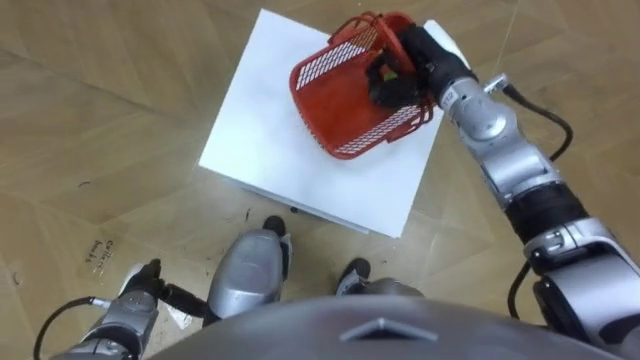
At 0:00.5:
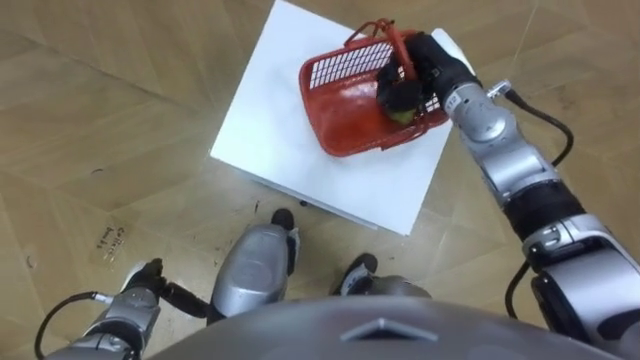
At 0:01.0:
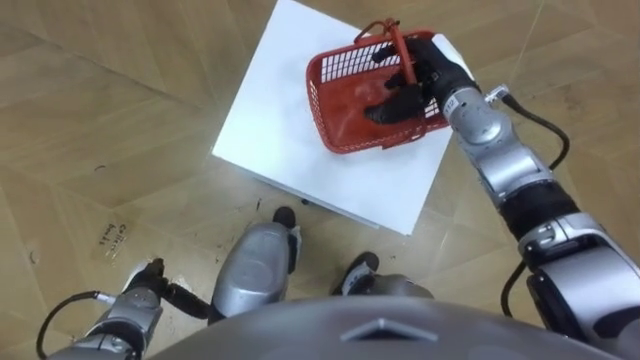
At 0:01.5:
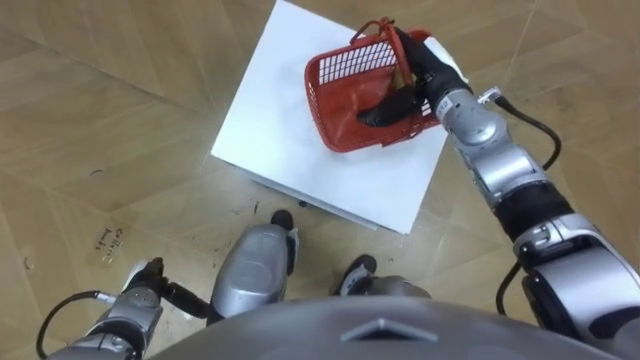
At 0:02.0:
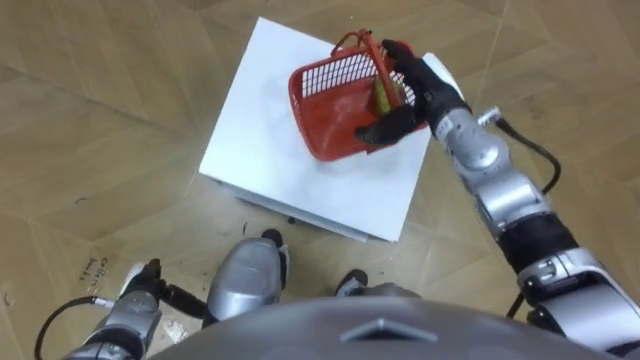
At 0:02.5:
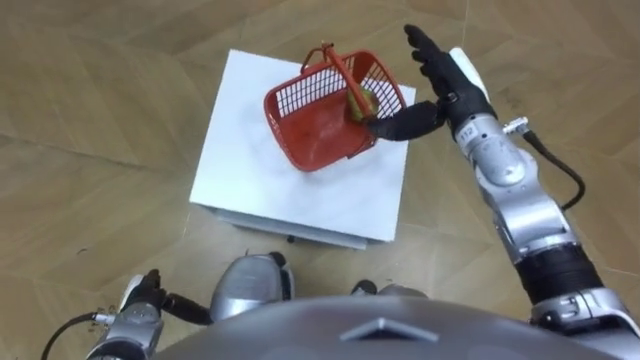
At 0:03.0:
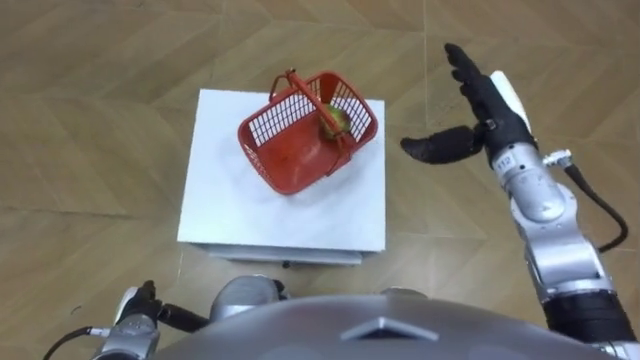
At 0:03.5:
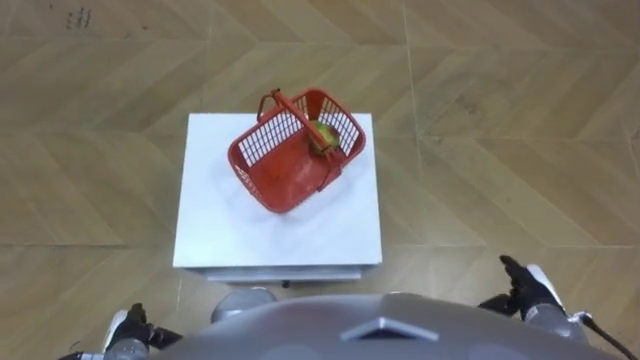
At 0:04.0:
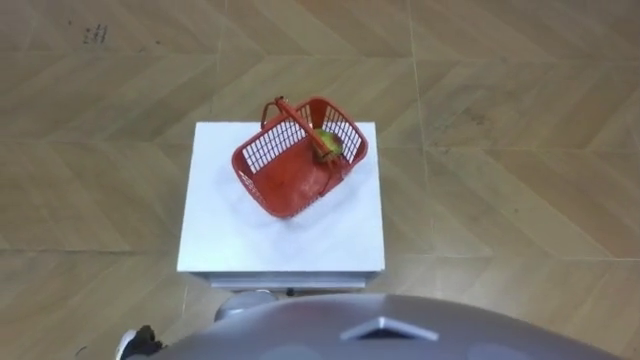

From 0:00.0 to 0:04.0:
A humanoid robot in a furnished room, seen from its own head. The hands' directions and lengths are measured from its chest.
Task of the whole recording: Pick up the fruit basket from the floor and place it on the cabinet.
From 0:00.0 to 0:02.0: The right hand opens.
From 0:02.0 to 0:04.0: The left hand heads backward, covering about 10 cm, while the right hand travels backward, downward and to the right by about 40 cm.

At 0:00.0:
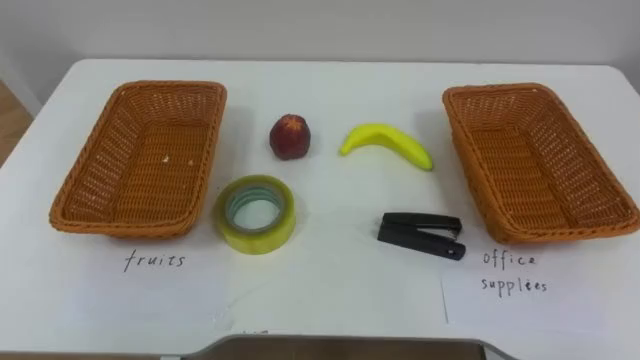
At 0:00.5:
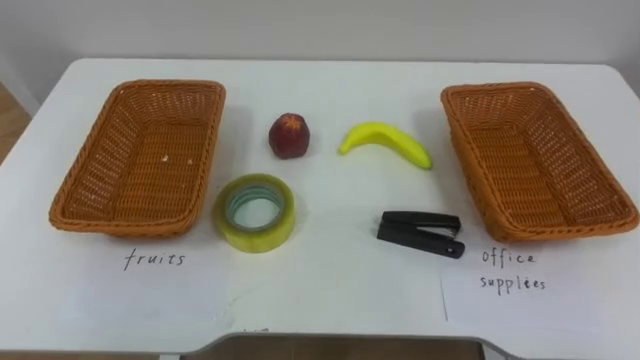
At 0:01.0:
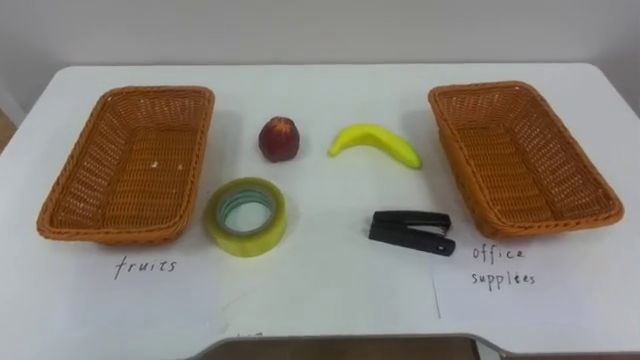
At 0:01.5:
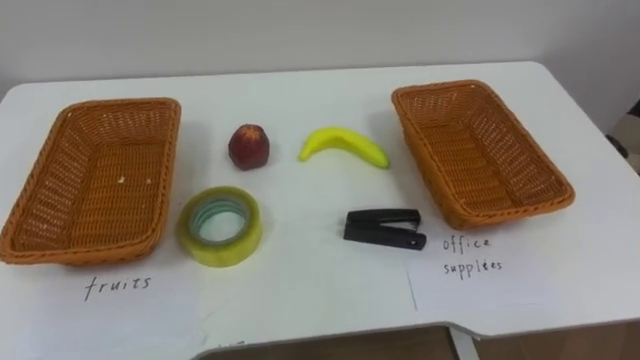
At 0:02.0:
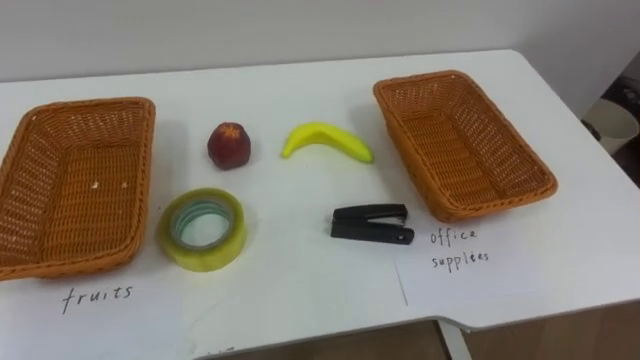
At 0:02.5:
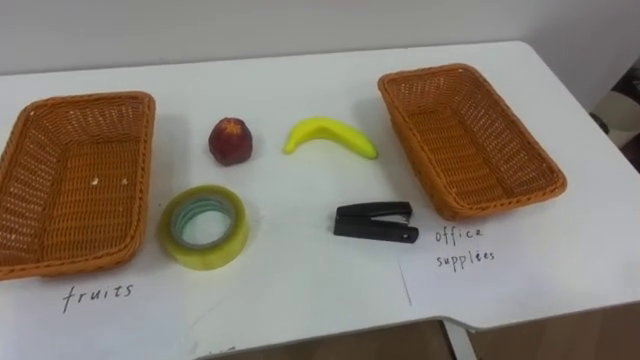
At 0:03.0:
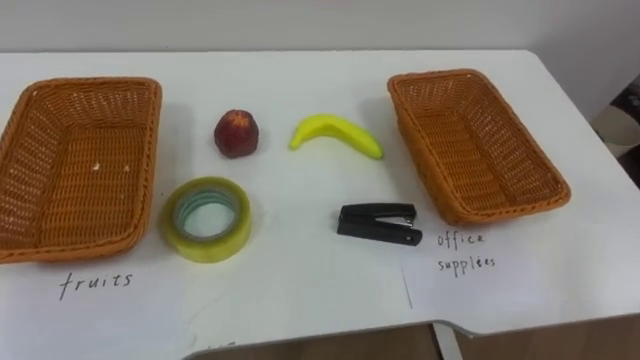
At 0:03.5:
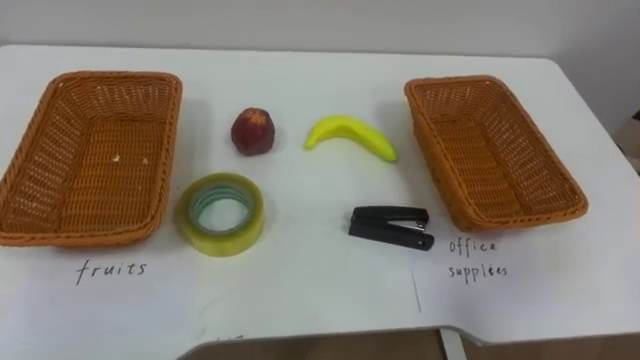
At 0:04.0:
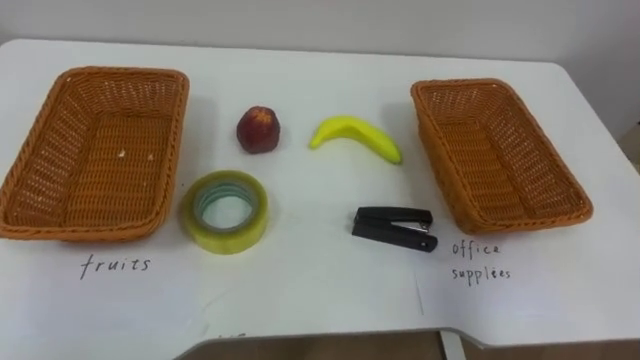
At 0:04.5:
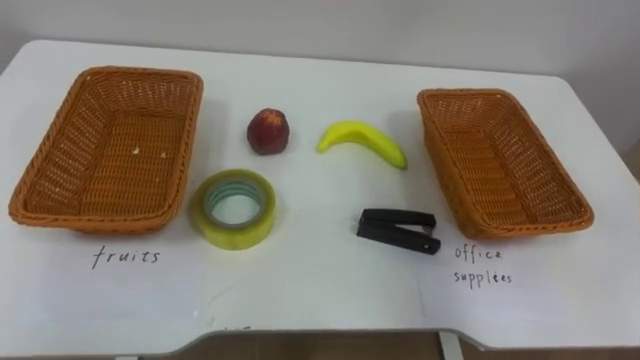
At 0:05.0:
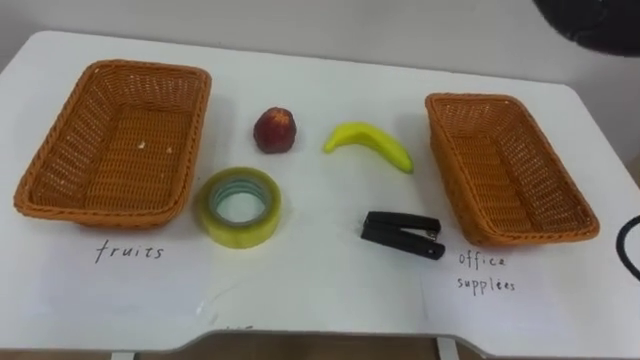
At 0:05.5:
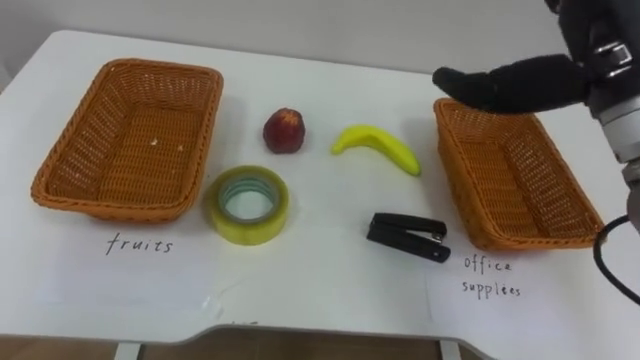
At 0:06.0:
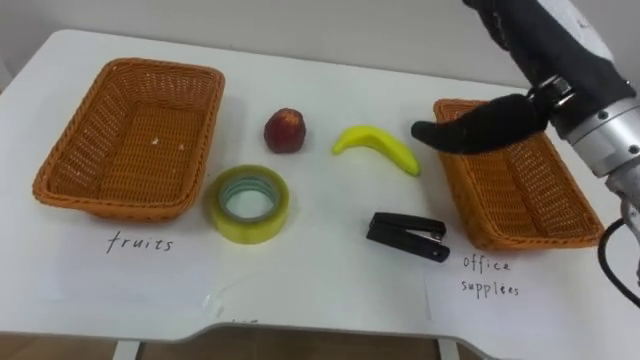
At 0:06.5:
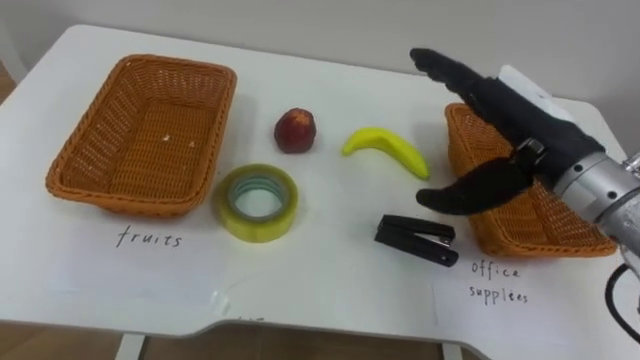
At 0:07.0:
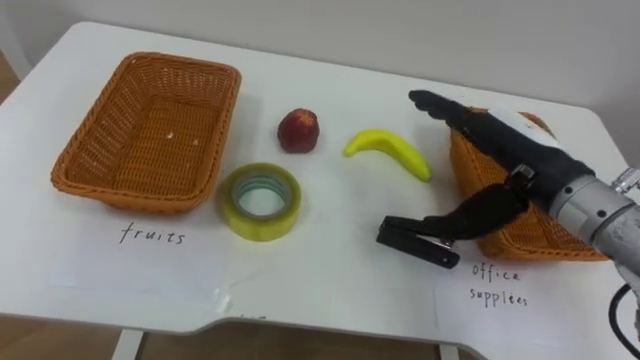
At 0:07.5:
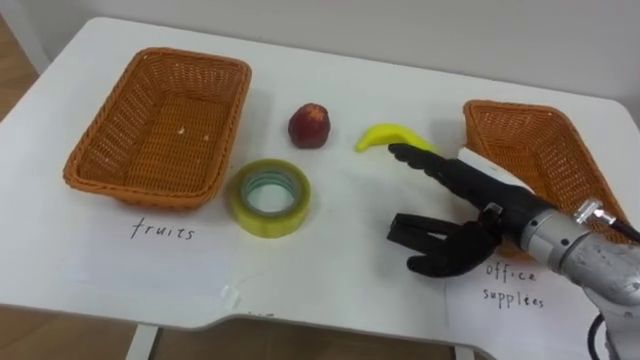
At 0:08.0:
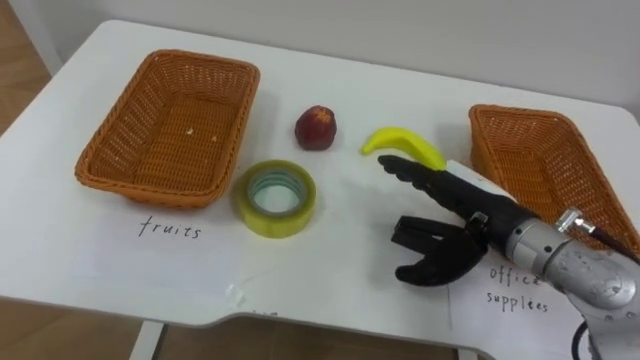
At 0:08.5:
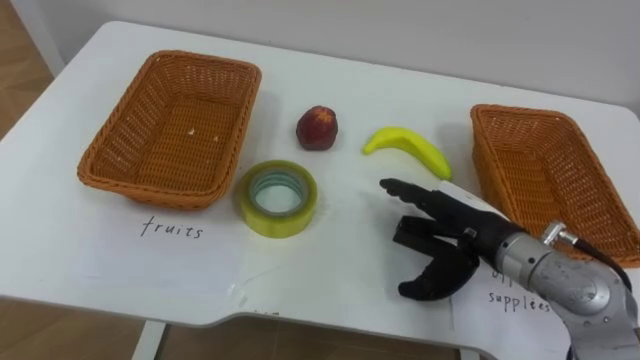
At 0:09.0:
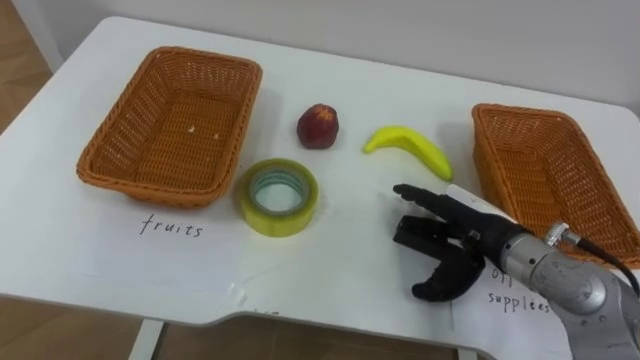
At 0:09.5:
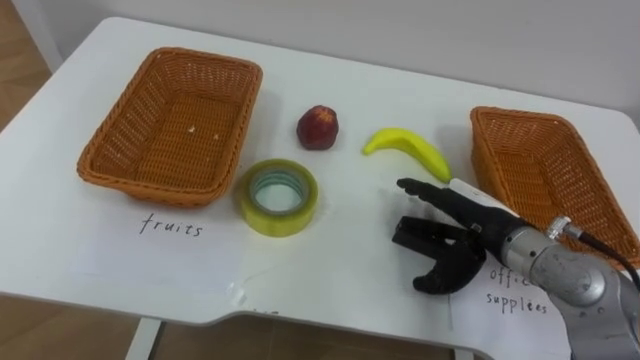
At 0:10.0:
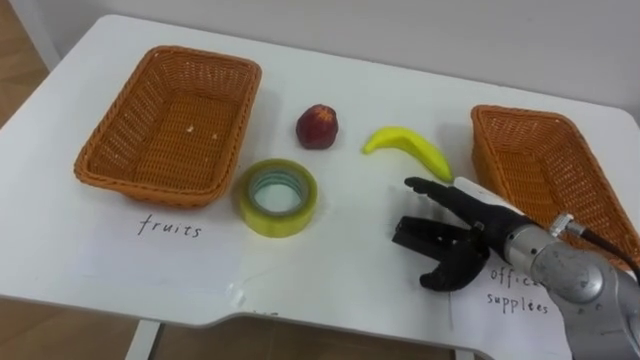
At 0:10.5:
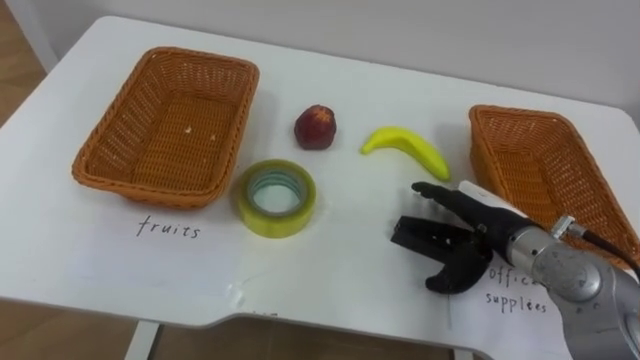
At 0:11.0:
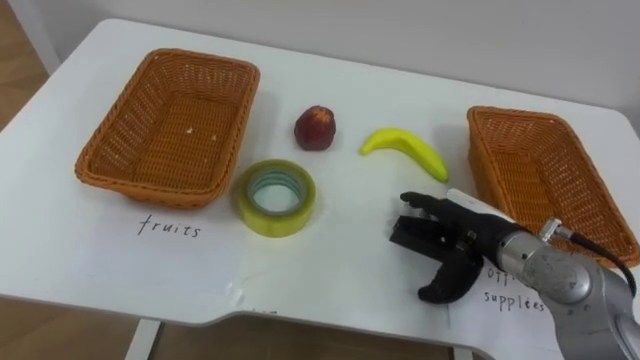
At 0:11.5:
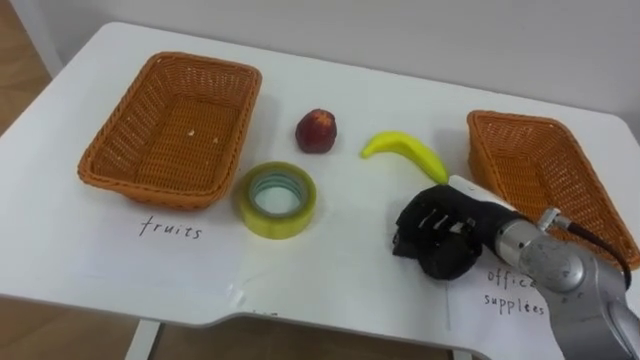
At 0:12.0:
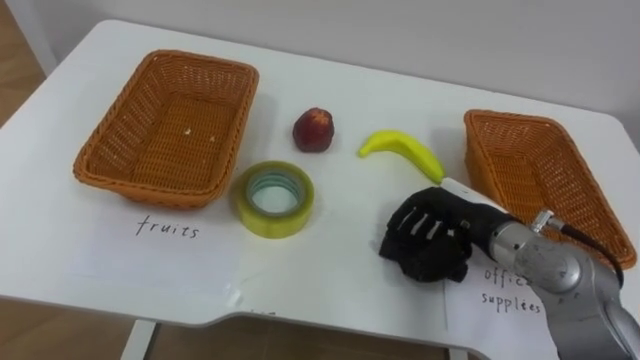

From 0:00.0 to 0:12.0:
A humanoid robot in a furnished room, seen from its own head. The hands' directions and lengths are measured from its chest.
Task of the whole recording: Separate the items on the table and place them into the two baskets.
From 0:06.0 to 0:08.0: The right hand goes roughly 15 cm downward.
From 0:10.0 to 0:12.0: The right hand closes its fingers.

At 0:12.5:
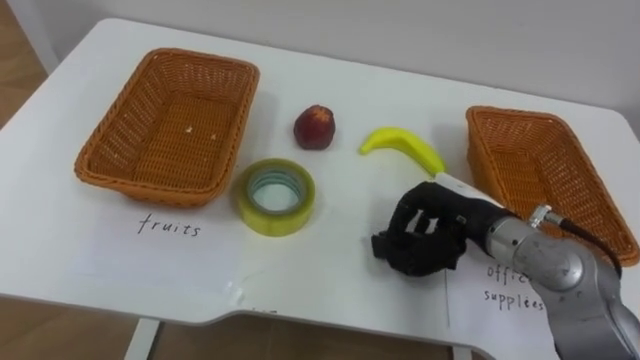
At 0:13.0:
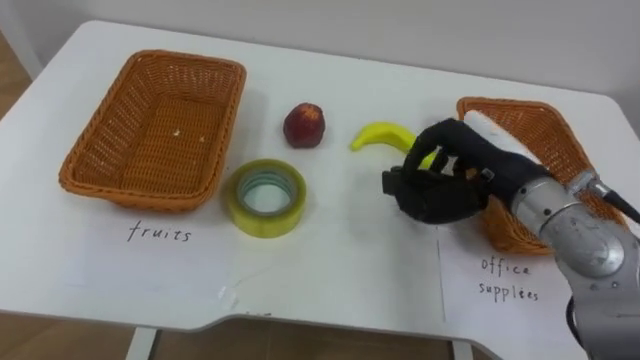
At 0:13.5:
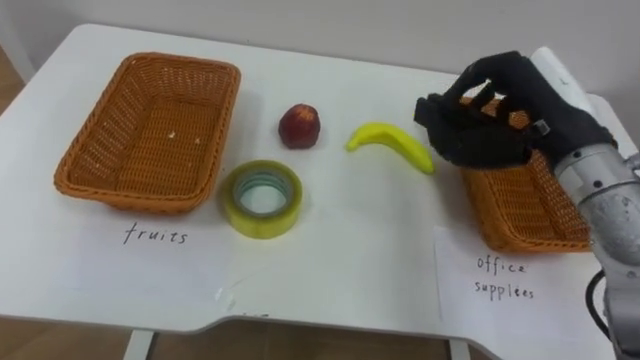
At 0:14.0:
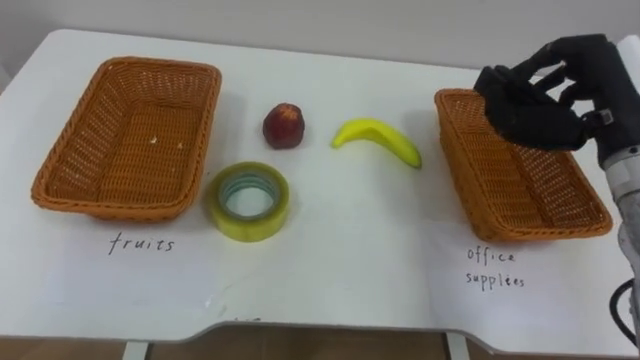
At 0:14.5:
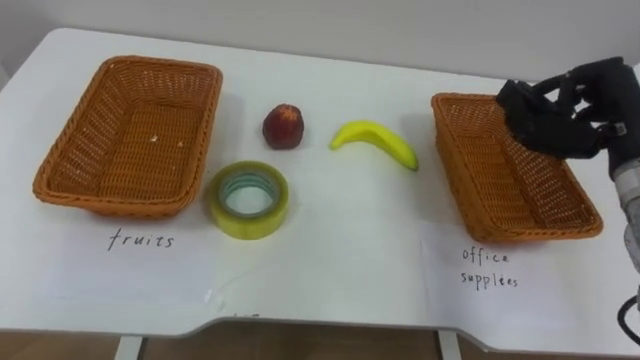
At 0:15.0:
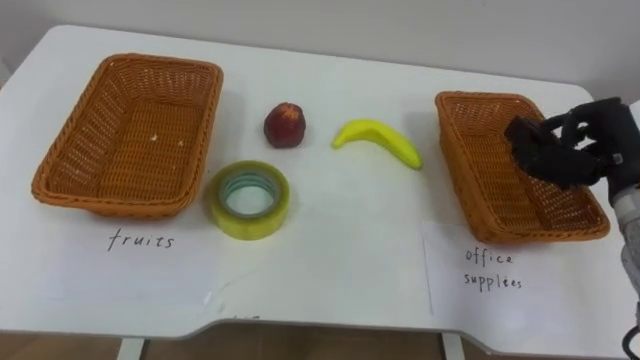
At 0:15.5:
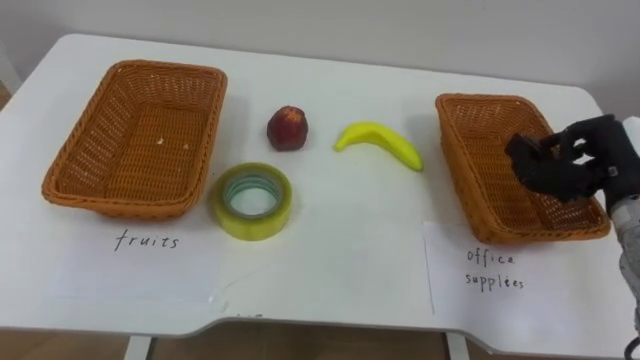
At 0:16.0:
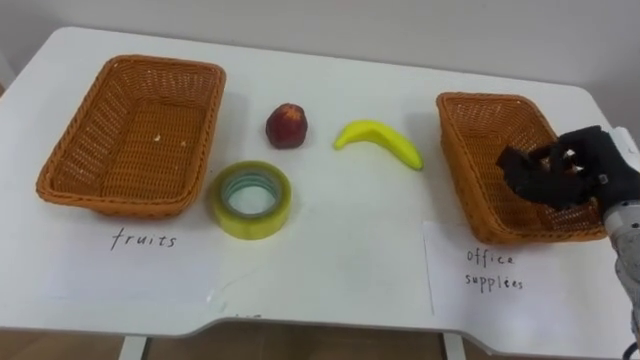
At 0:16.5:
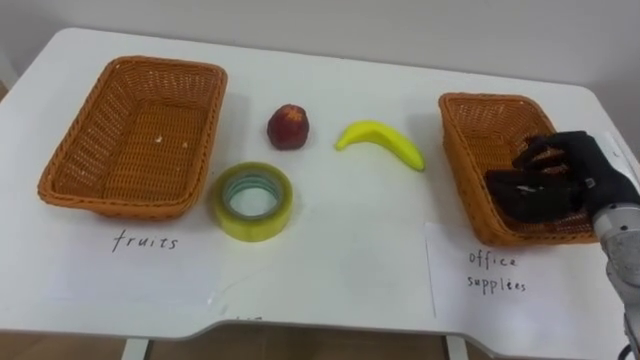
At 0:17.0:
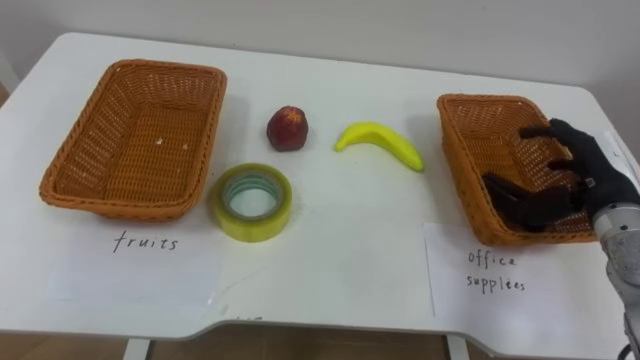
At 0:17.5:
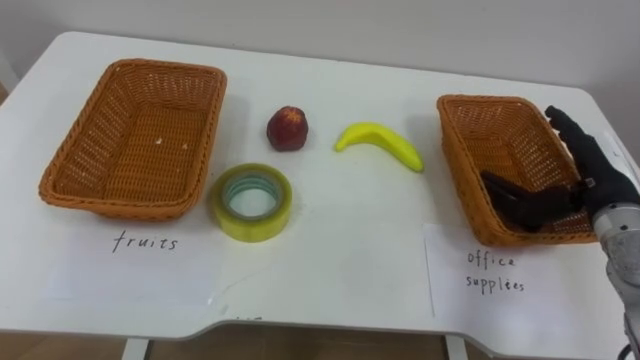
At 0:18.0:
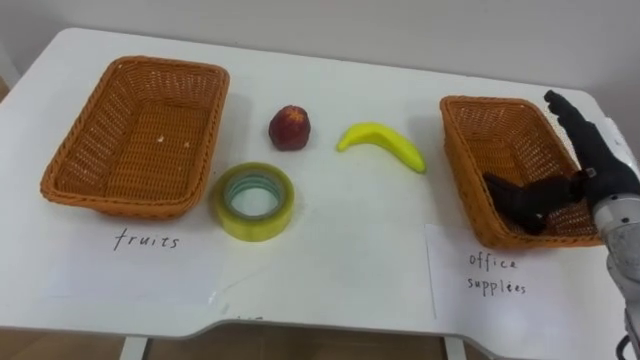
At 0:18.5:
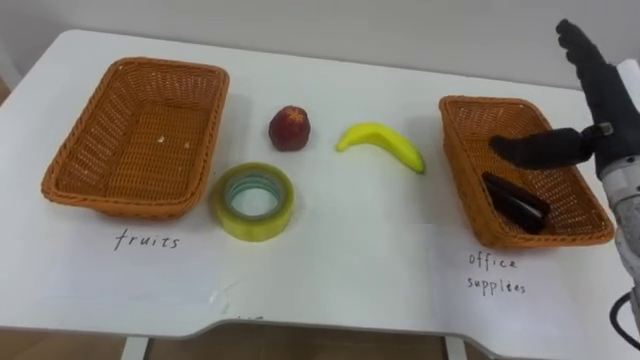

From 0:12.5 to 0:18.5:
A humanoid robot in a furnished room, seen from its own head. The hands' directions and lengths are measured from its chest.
Task of the whole recording: Separate the items on the table and place them into the two baskets.
From 0:12.5 to 0:14.5: The right hand goes roughly 20 cm to the right and upward.
From 0:14.5 to 0:16.5: The right hand moves downward, about 10 cm.
From 0:16.5 to 0:18.5: The right hand heads upward, covering some 10 cm, and opens.
